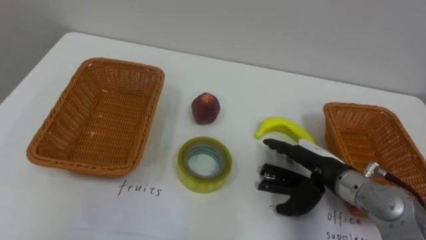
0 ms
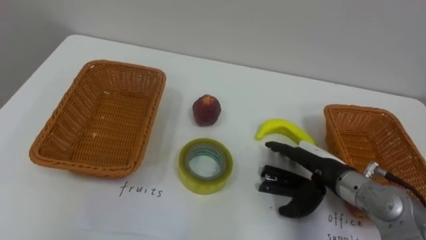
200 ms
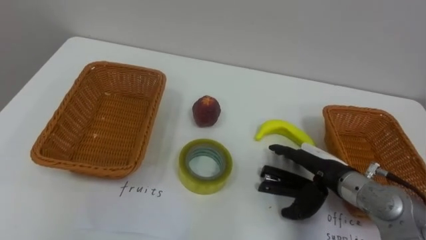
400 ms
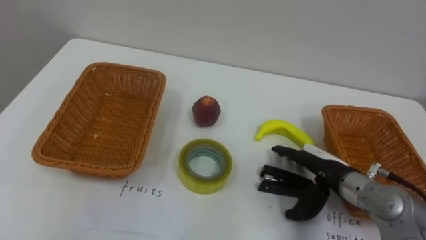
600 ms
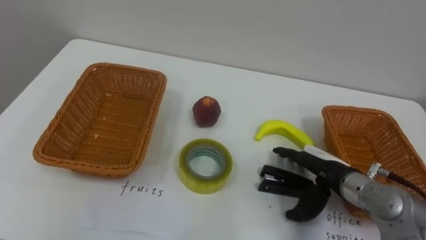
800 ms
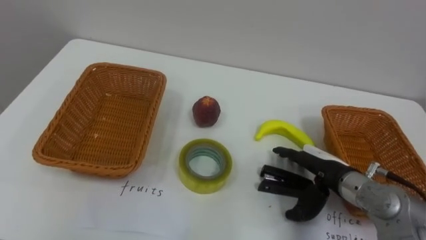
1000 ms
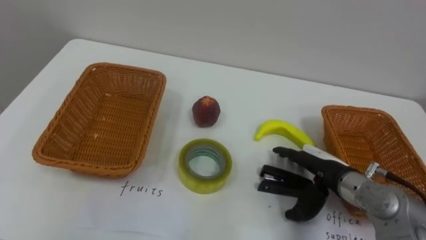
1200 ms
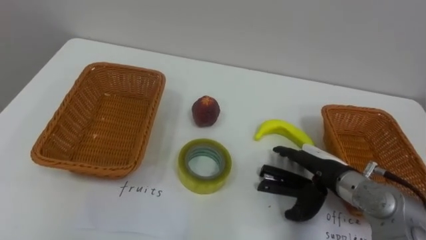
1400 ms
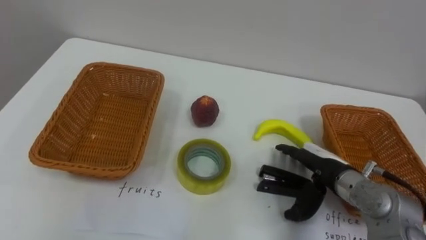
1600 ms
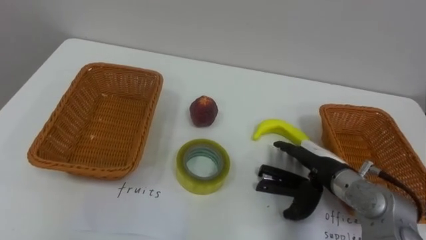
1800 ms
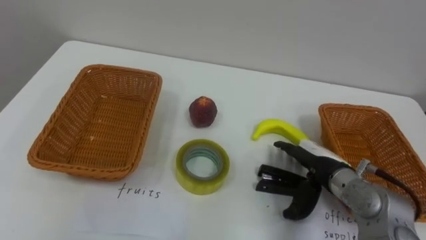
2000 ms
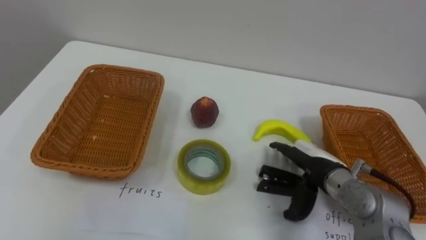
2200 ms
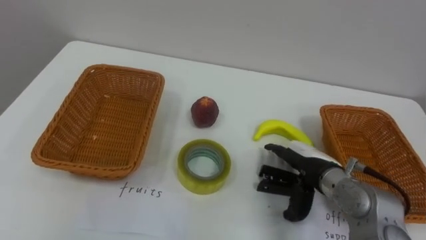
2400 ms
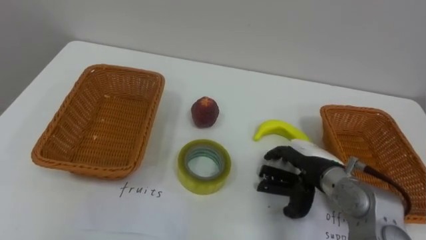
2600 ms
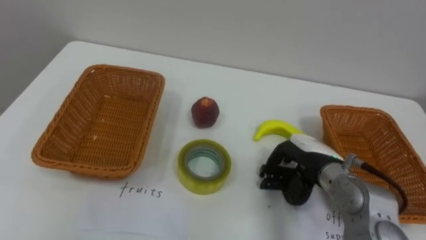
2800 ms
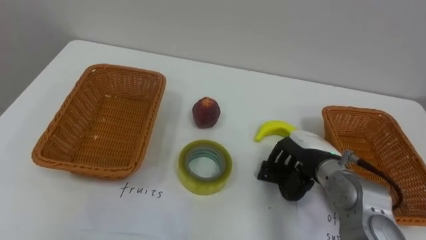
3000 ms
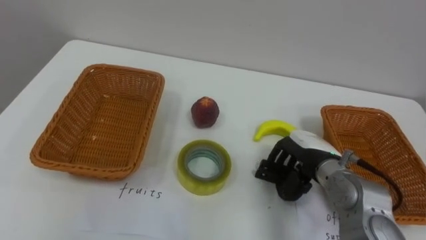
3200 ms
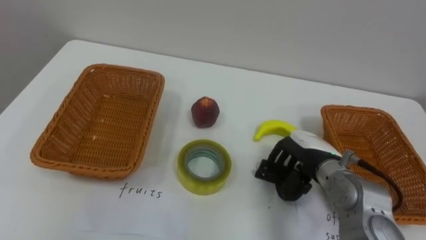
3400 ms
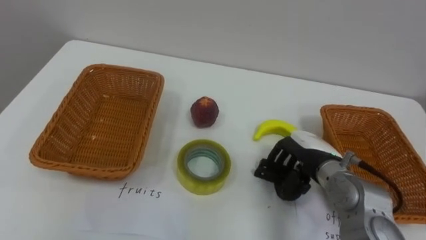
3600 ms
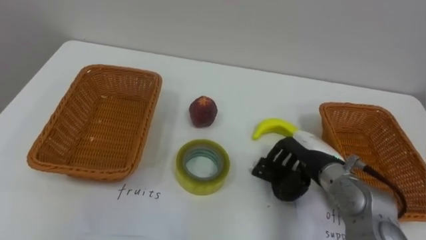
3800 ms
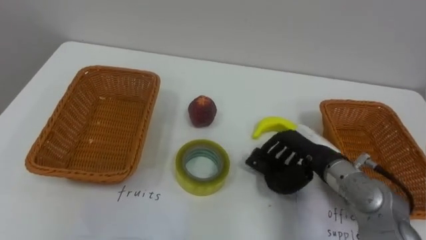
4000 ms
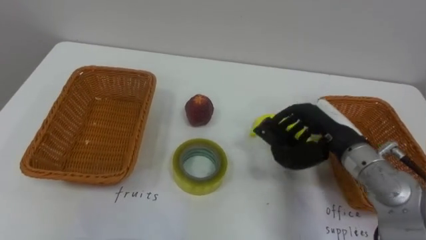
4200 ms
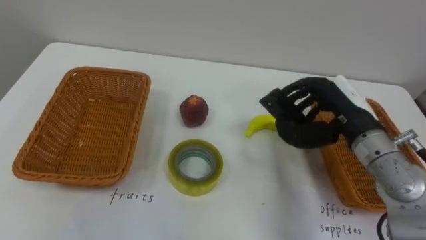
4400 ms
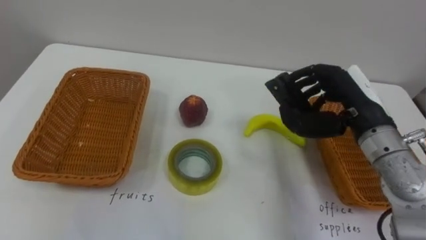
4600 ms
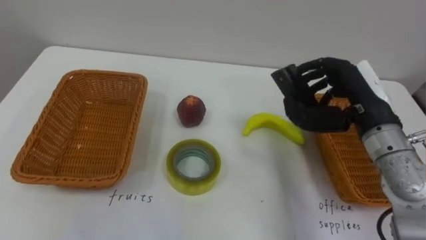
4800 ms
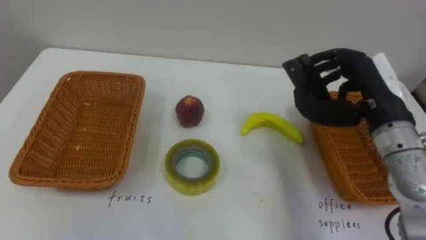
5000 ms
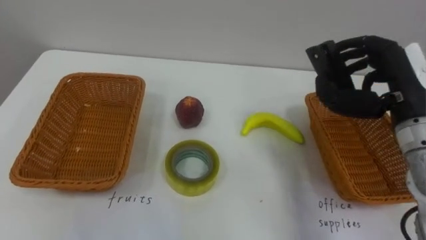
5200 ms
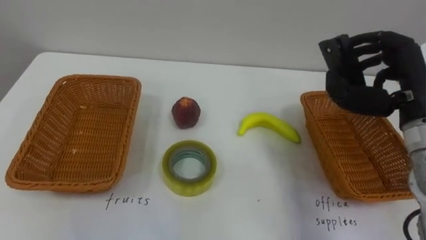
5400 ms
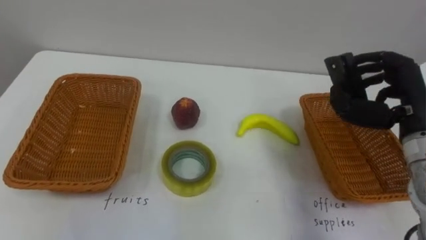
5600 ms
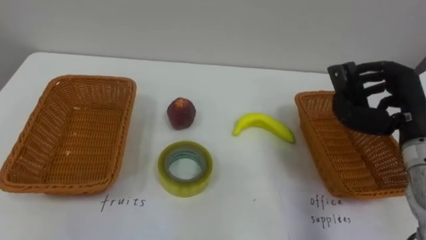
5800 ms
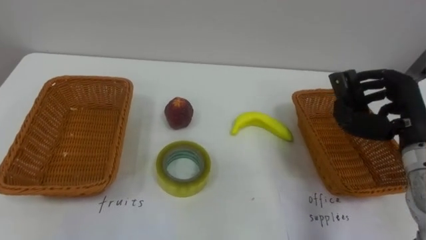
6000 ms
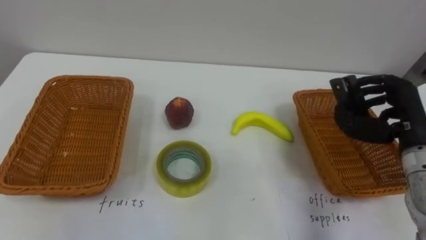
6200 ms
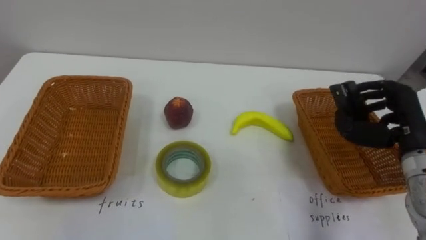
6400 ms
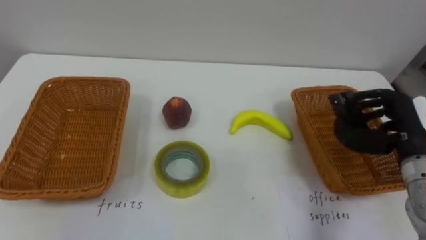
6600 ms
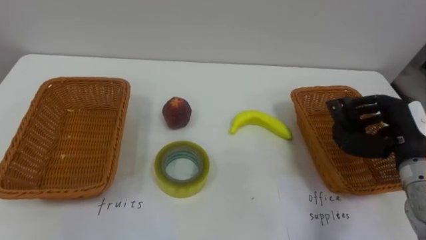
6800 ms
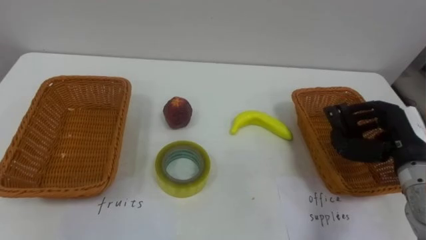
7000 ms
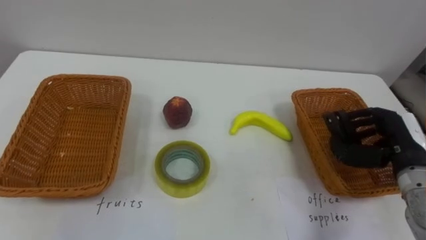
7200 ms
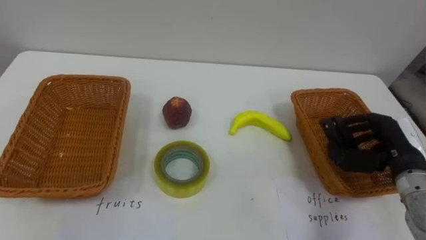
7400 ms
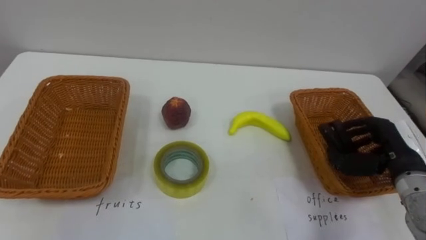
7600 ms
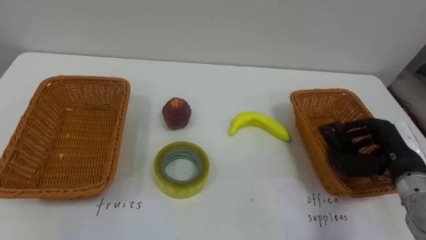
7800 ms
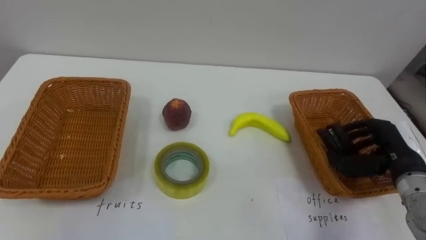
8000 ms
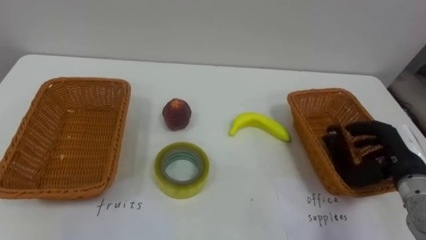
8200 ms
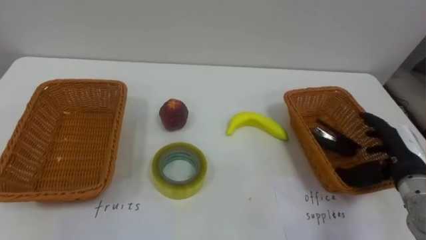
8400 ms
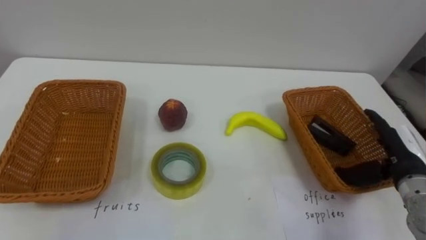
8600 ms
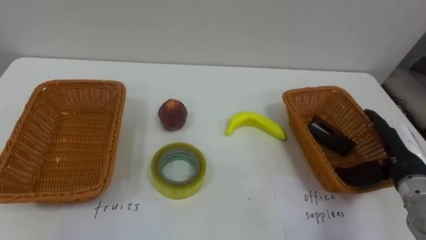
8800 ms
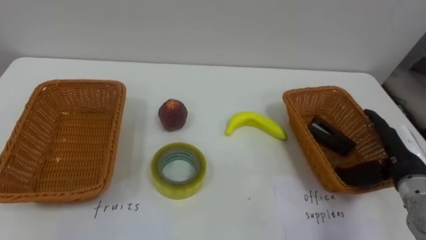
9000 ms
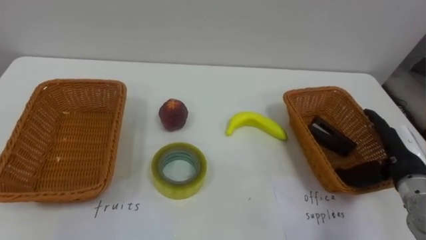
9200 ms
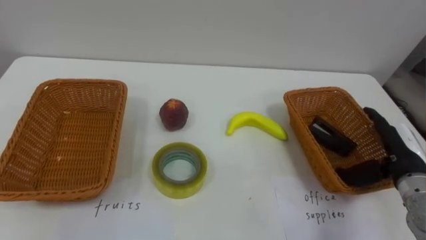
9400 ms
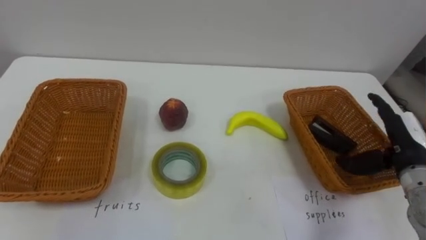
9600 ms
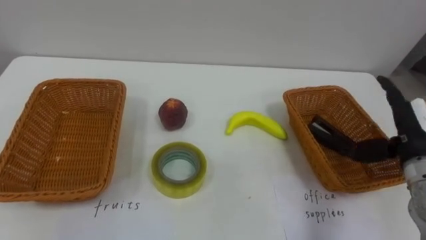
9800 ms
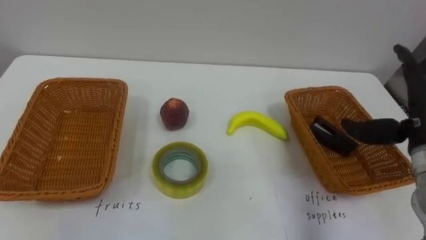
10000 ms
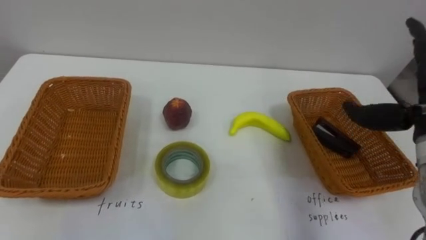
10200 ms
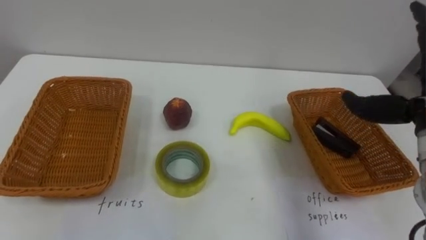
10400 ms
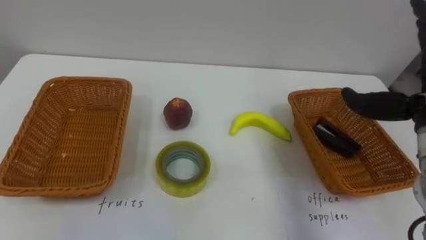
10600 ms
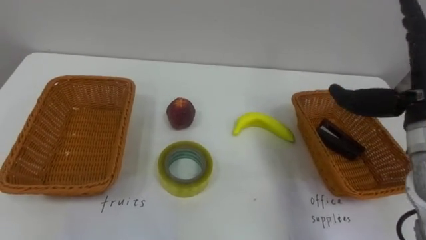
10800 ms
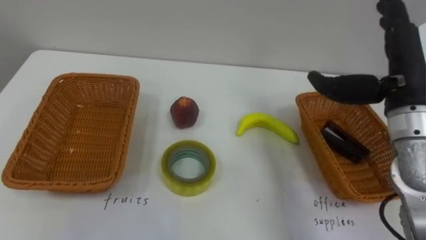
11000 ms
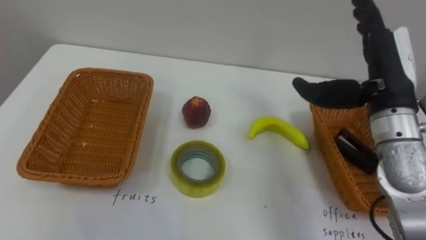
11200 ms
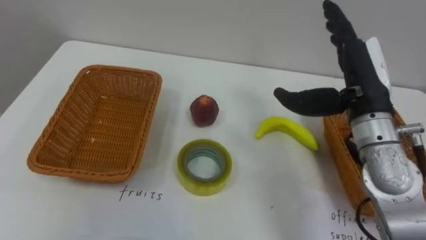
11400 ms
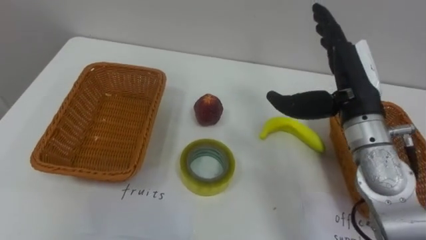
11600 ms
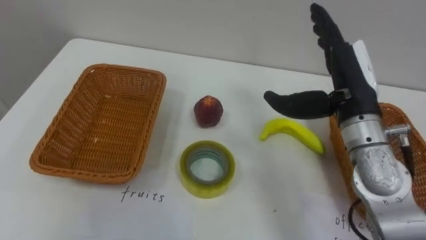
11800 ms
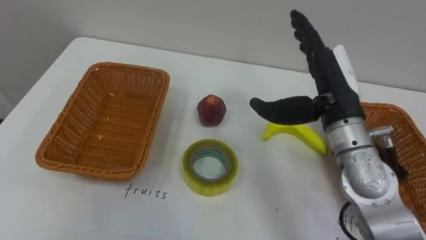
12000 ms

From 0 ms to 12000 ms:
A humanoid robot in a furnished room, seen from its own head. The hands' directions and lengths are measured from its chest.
Task of the whole recording: Separate the items on the table and place them into the two baskets.
From 1600 ms to 3000 ms: The right hand closes.
From 3000 ms to 4400 ms: The right hand shifts roughly 10 cm upward.
From 4400 ms to 6000 ms: The right hand shifts roughly 10 cm to the right.
From 6000 ms to 7600 ms: The right hand shifts roughly 5 cm downward.
From 7600 ms to 9000 ms: The right hand opens up.

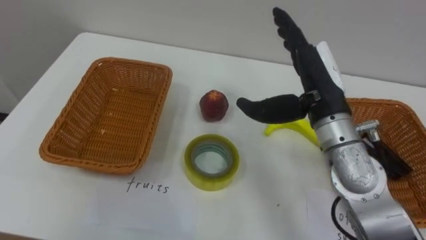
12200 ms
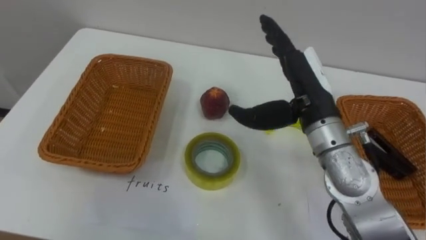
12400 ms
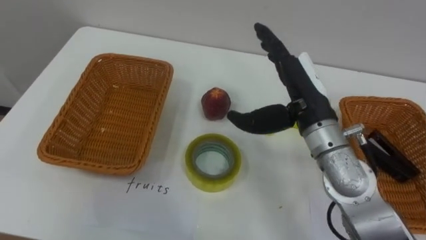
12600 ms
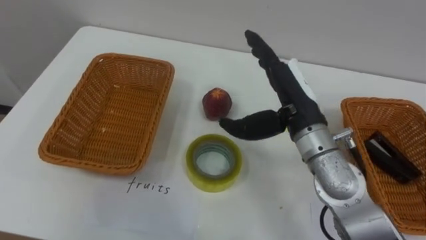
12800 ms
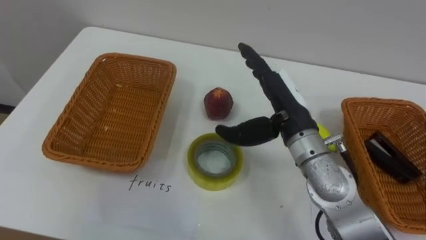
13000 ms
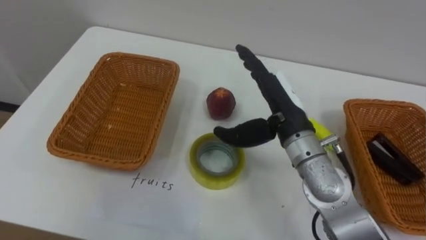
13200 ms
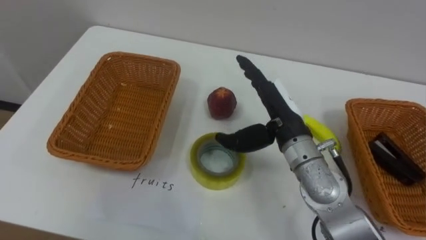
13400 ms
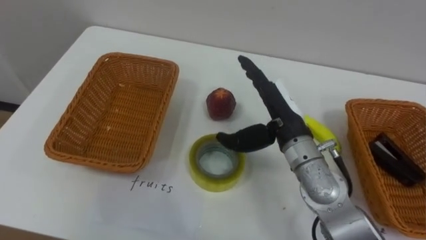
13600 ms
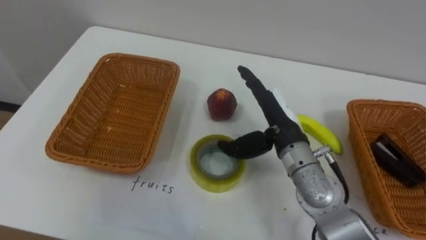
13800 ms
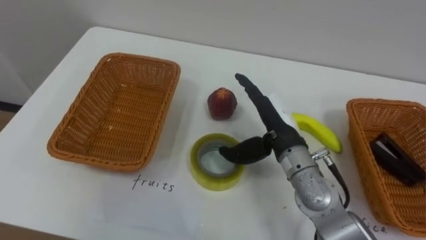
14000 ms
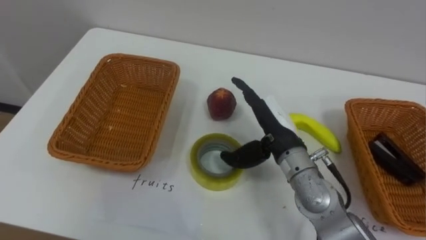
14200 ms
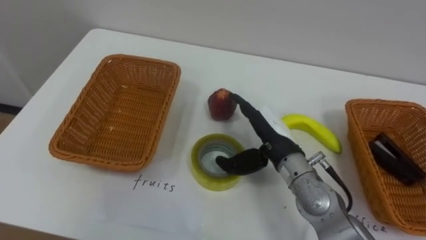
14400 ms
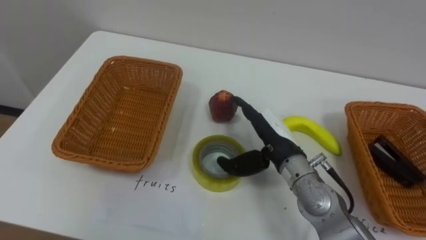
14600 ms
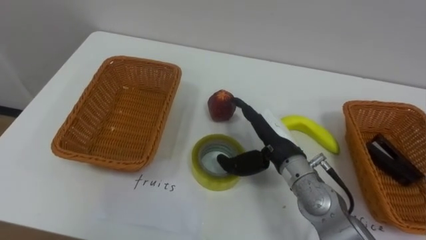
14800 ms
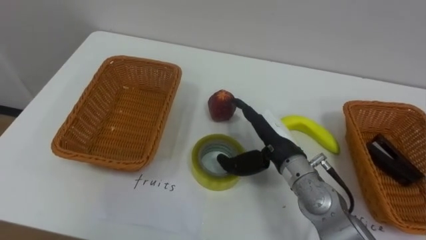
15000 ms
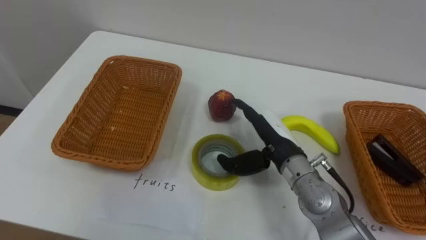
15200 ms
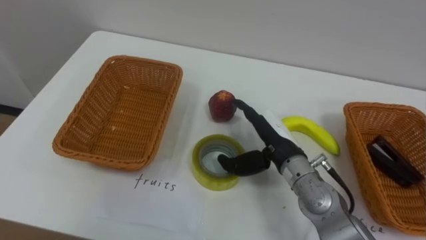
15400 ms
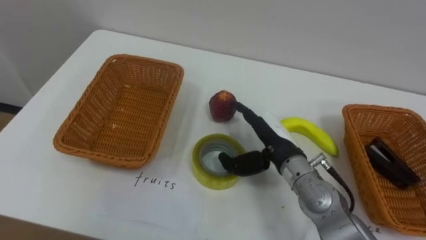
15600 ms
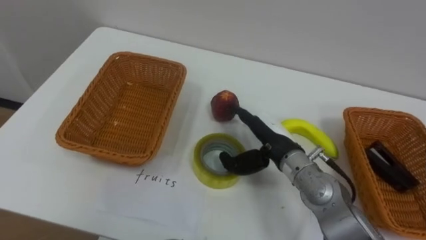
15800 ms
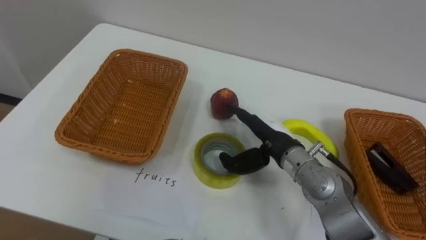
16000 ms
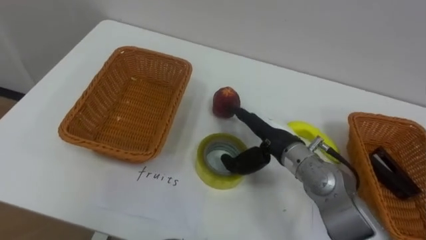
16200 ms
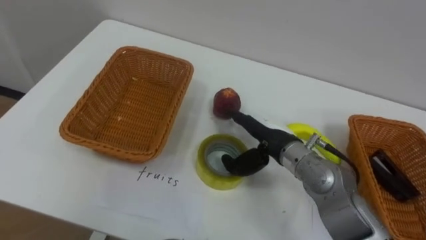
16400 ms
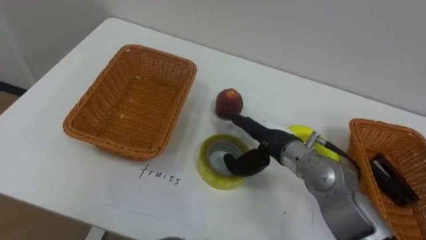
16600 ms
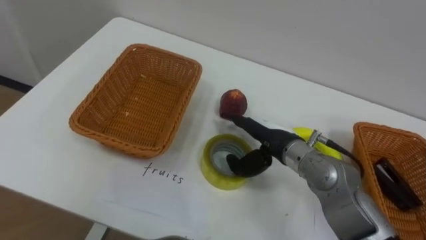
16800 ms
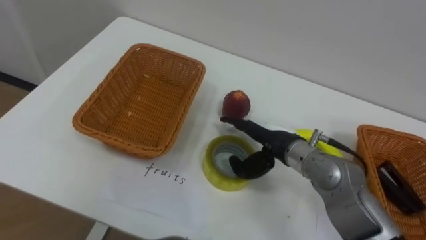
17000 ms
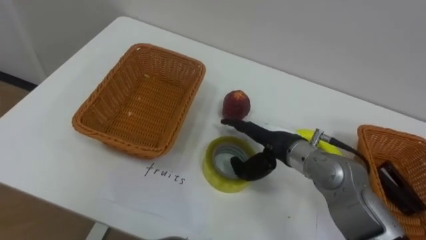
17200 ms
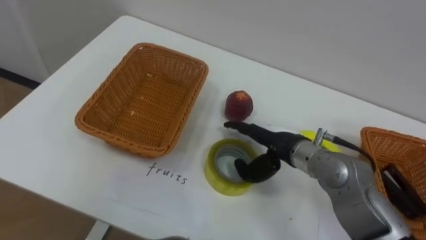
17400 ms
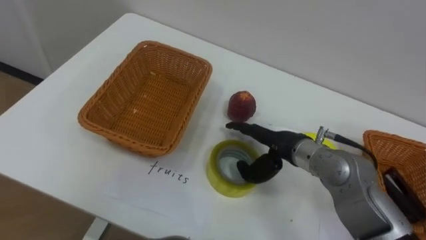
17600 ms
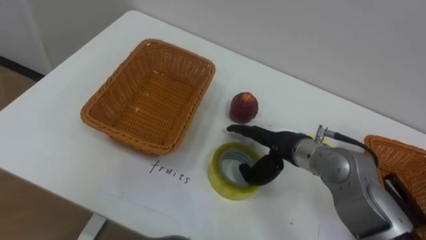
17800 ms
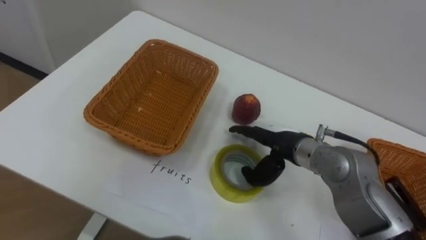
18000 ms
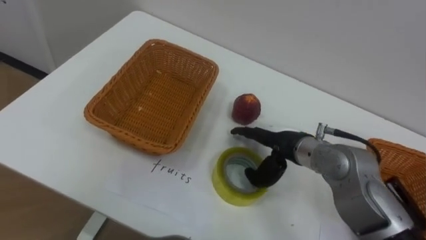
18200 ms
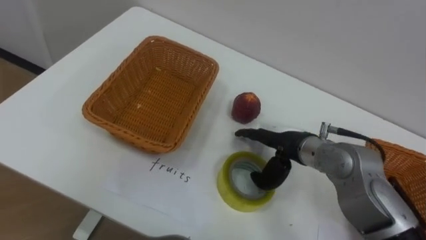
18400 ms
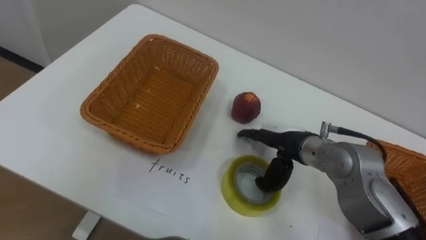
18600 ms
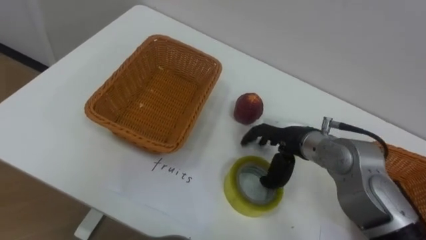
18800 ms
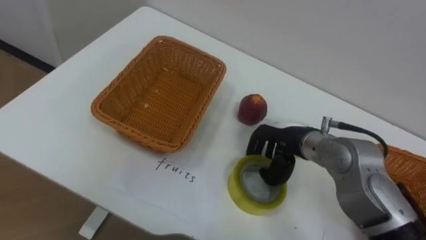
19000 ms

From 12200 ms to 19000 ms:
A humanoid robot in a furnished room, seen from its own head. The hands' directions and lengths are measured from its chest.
Task of the whole recording: Separate the items on the table and place them into the two baskets.
From 12200 ms to 13600 ms: The right hand heads downward, covering approximately 5 cm.
From 13600 ms to 15000 ms: The right hand is displaced downward by some 5 cm.
From 17600 ms to 19000 ms: The right hand closes up.
